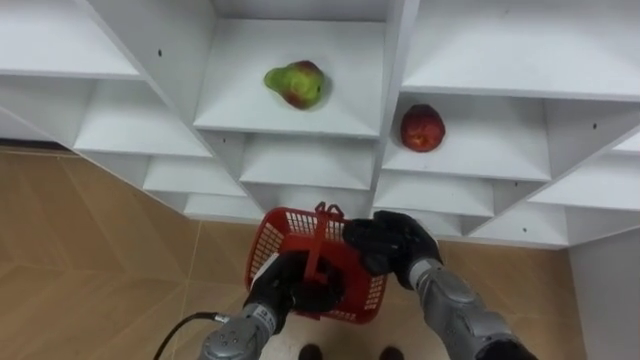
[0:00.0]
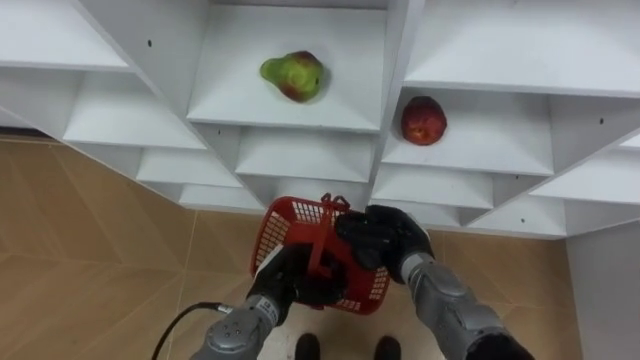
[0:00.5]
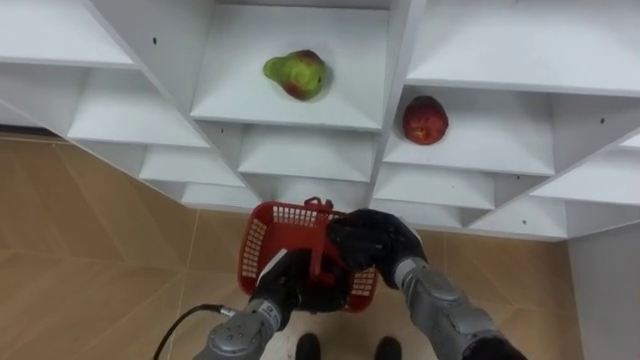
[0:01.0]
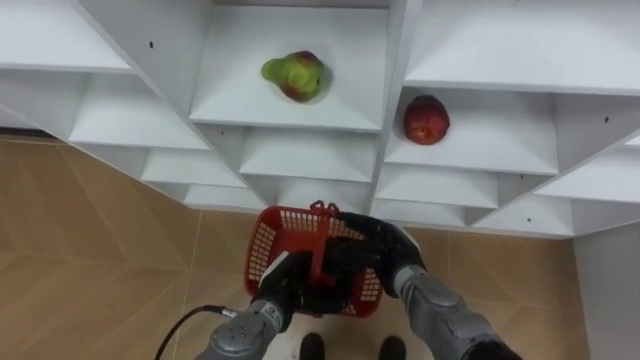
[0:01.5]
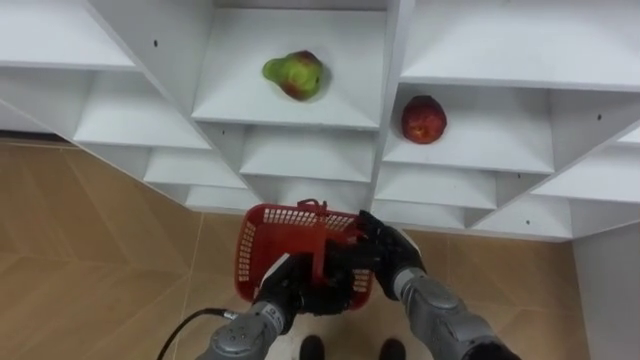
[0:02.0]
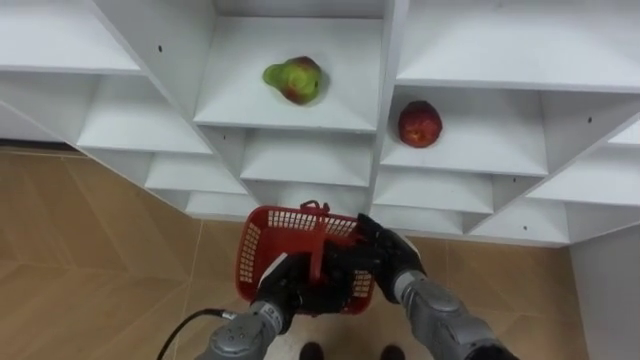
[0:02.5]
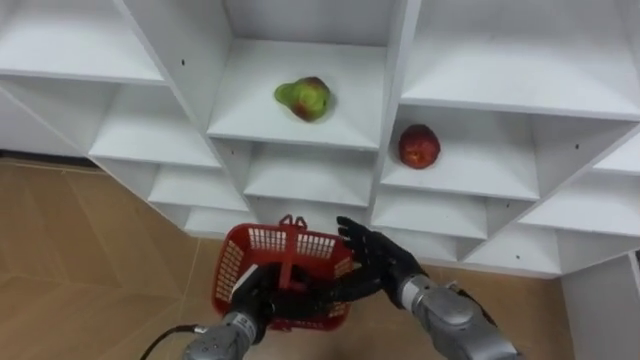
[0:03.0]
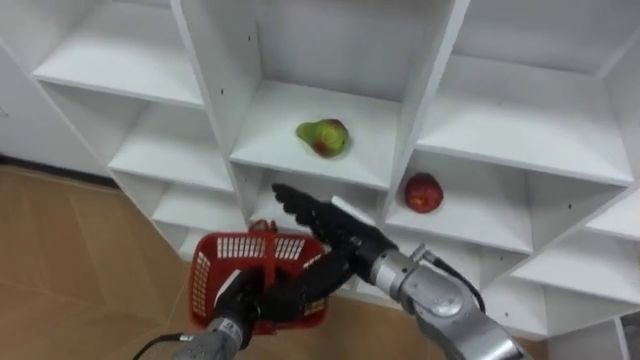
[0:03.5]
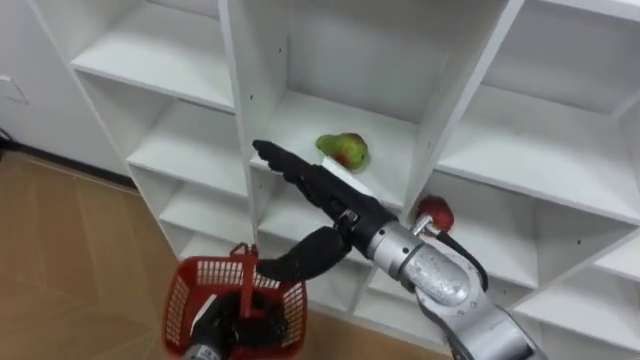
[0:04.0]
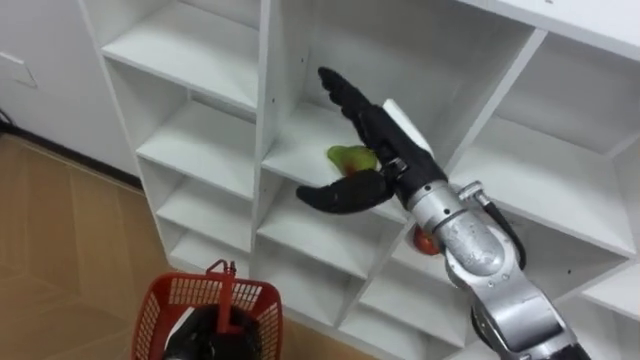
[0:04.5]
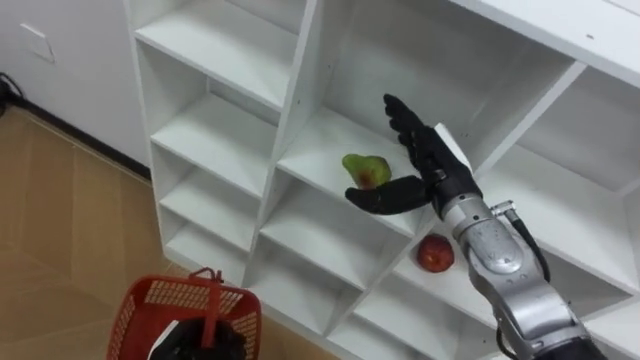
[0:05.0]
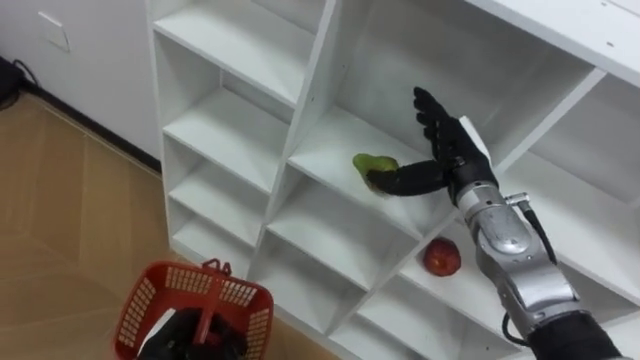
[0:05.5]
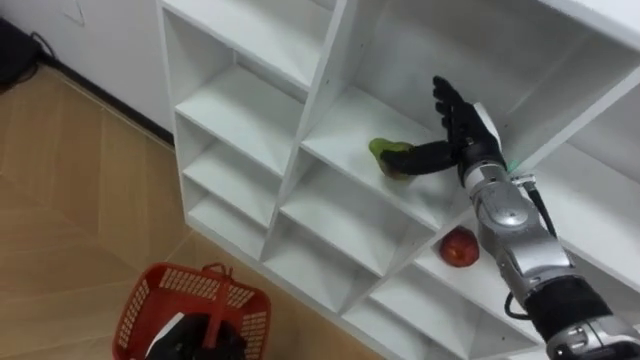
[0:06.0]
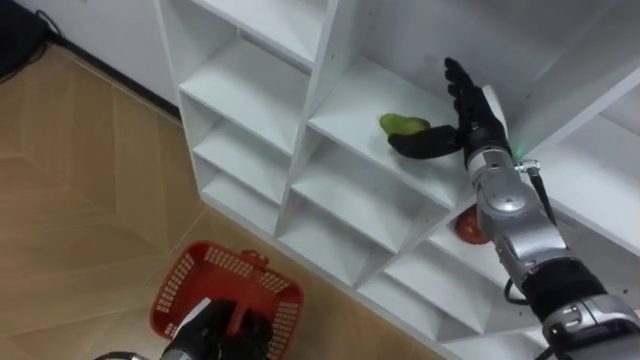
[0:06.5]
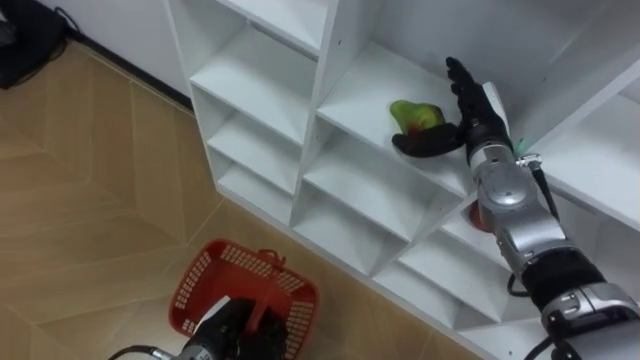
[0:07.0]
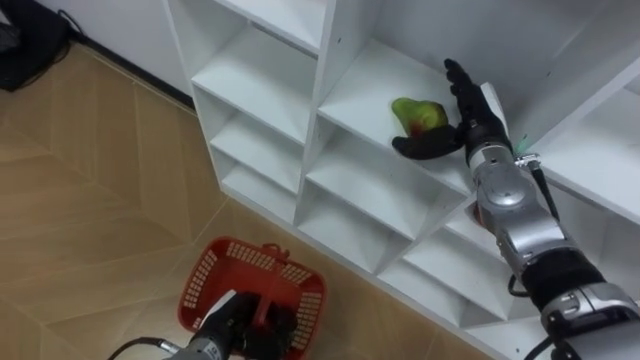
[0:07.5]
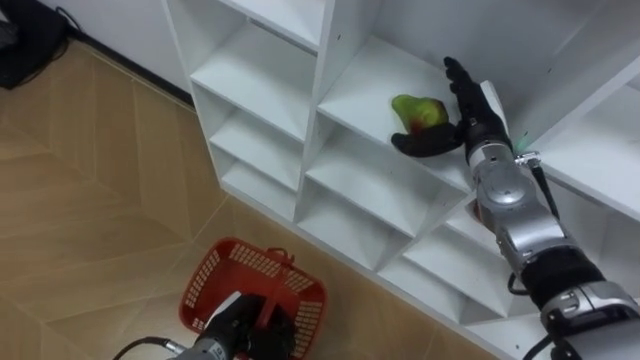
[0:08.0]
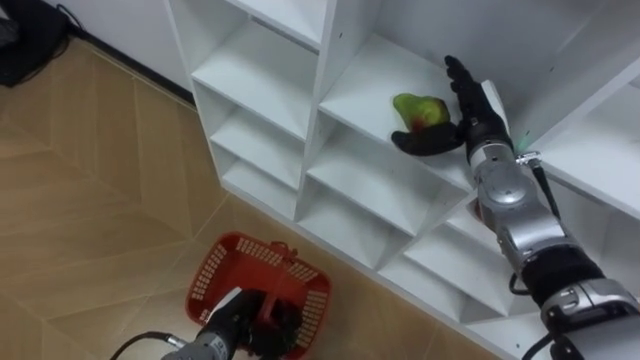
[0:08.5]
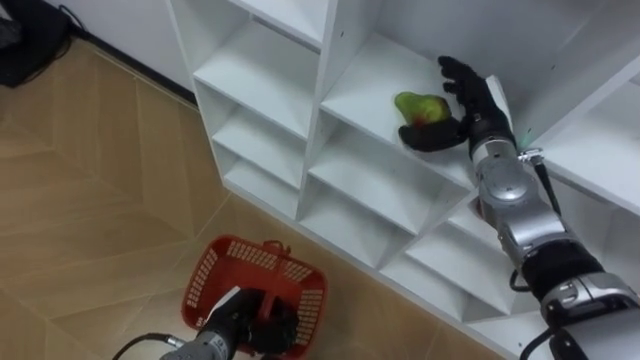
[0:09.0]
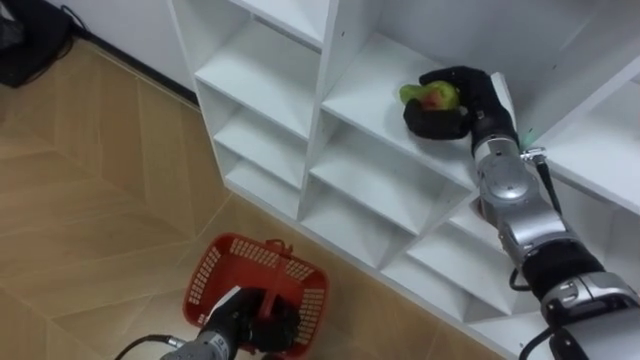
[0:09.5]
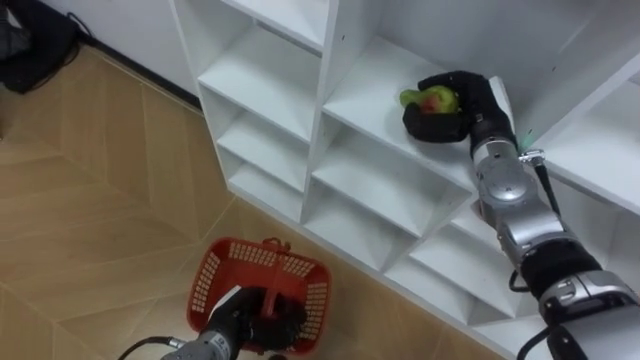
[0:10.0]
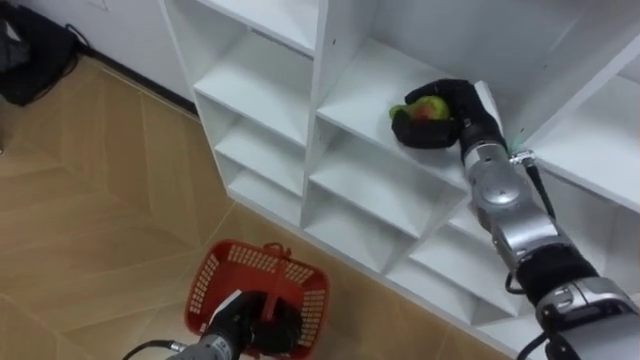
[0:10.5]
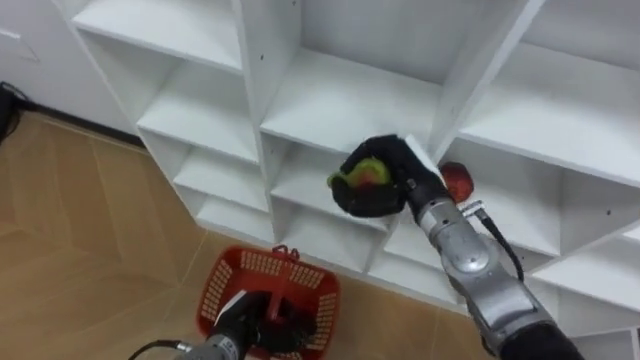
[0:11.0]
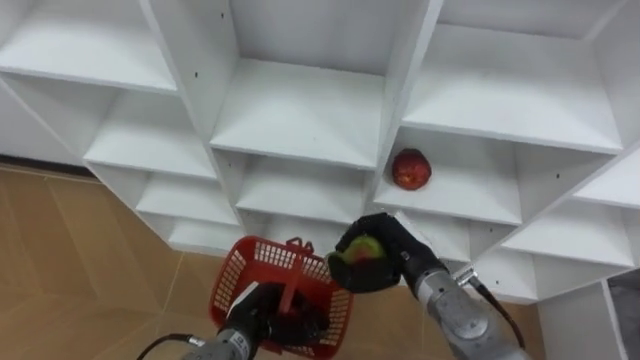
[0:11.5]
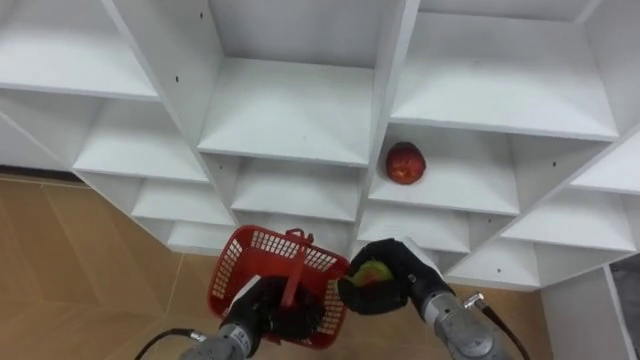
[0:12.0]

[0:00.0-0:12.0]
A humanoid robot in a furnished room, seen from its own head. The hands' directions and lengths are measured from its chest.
Task of the whole recording: Hold the basket and collect the fruits from 3 different cells of the closet into it.
0:00.0 to 0:02.0: The right hand opens up.
0:02.0 to 0:04.0: The right hand heads upward, covering about 15 cm; the left hand travels to the left by roughly 10 cm.
0:04.0 to 0:06.0: The left hand moves to the left, approximately 5 cm, while the right hand goes roughly 20 cm to the right and forward.
0:06.0 to 0:08.0: The left hand is displaced to the right by some 5 cm.
0:08.0 to 0:10.0: The right hand closes its fingers.
0:10.0 to 0:12.0: The right hand shifts about 20 cm backward, downward and to the left.

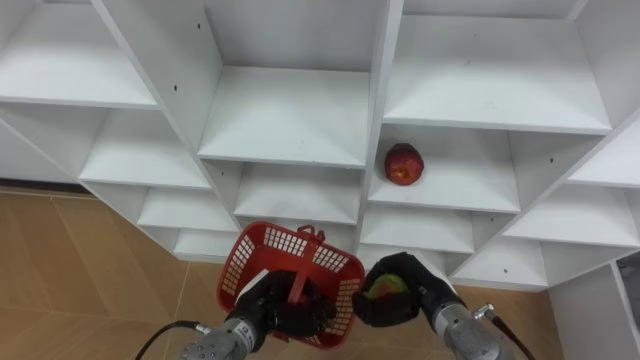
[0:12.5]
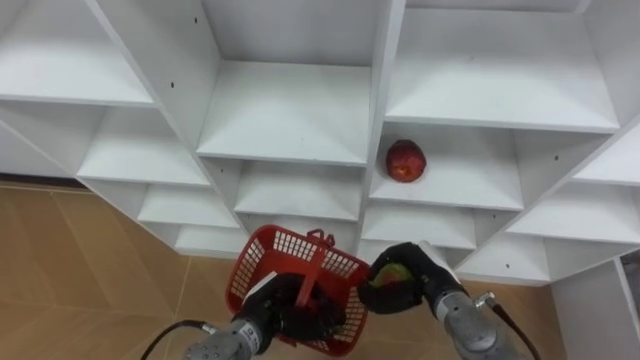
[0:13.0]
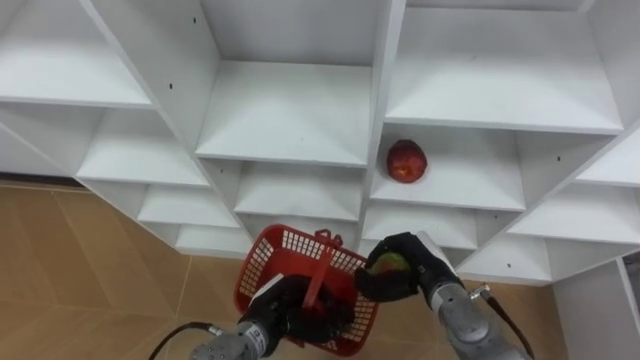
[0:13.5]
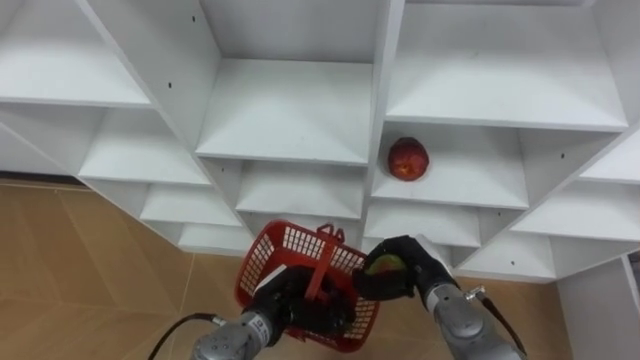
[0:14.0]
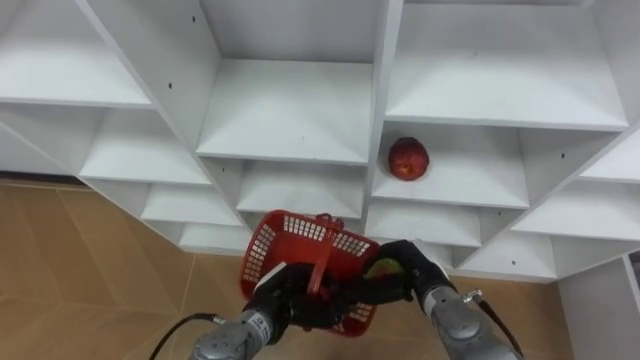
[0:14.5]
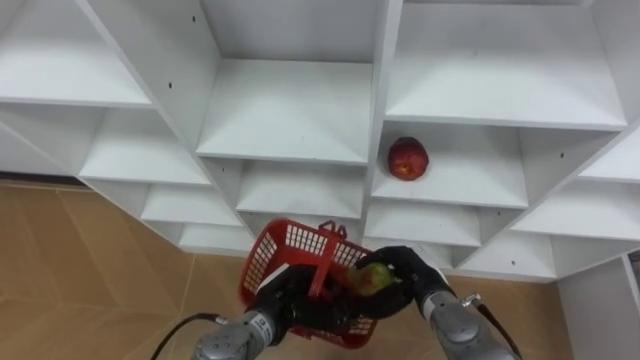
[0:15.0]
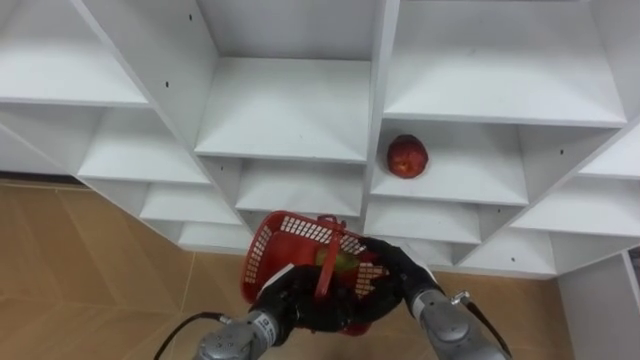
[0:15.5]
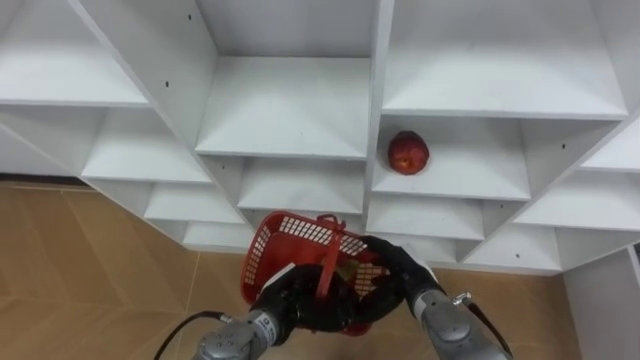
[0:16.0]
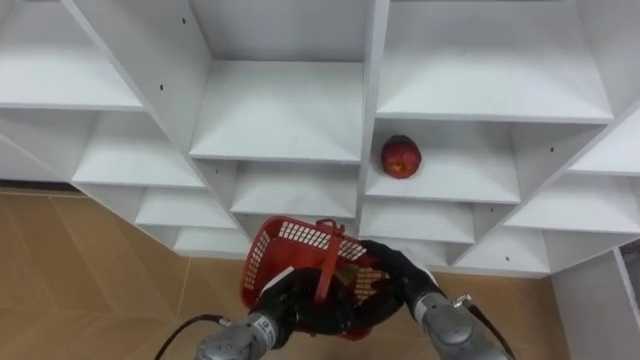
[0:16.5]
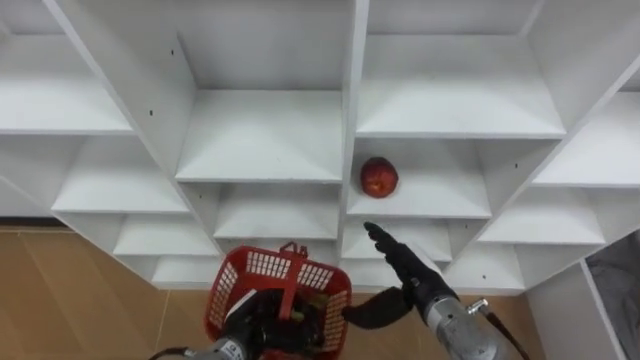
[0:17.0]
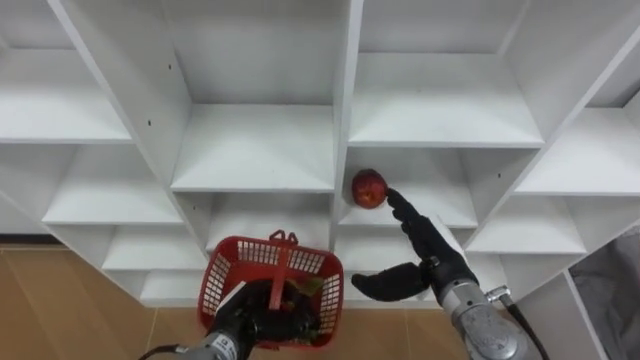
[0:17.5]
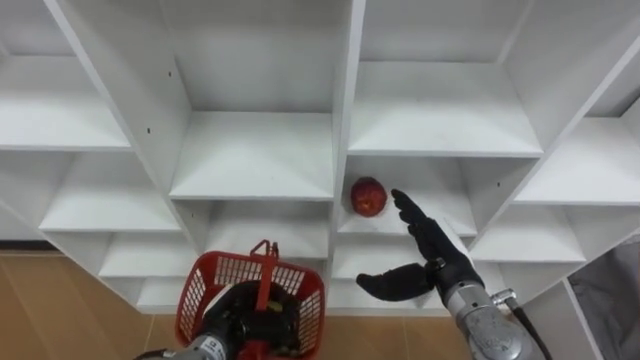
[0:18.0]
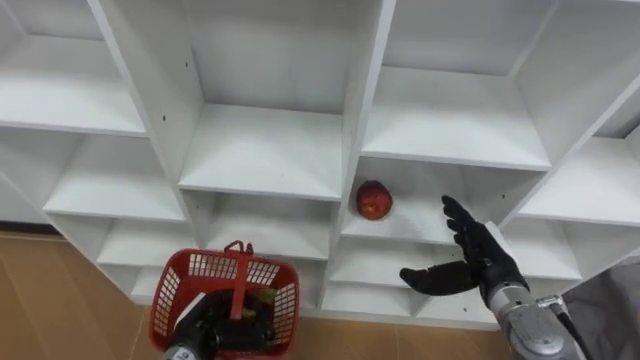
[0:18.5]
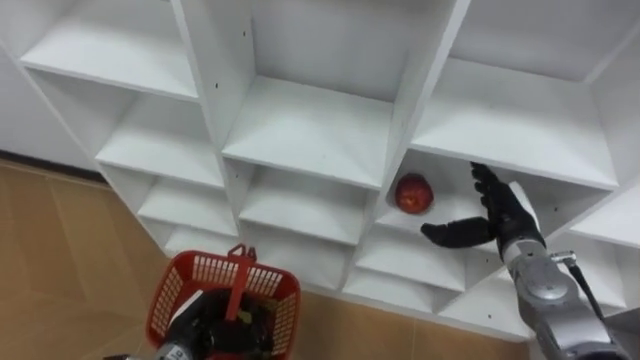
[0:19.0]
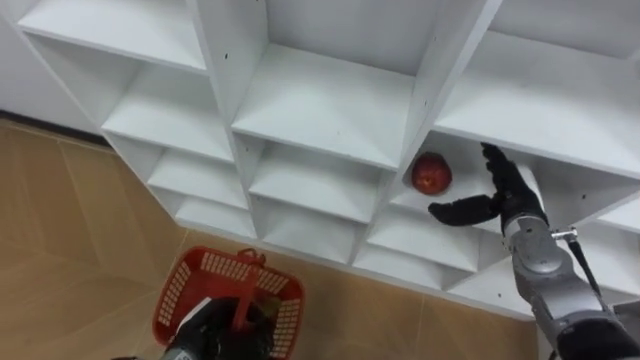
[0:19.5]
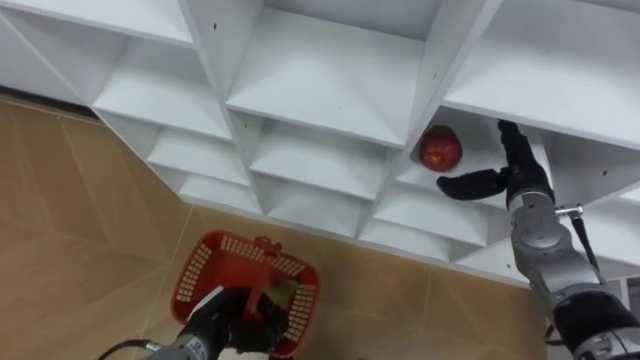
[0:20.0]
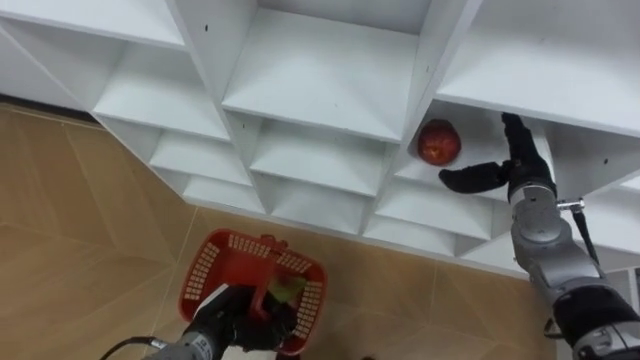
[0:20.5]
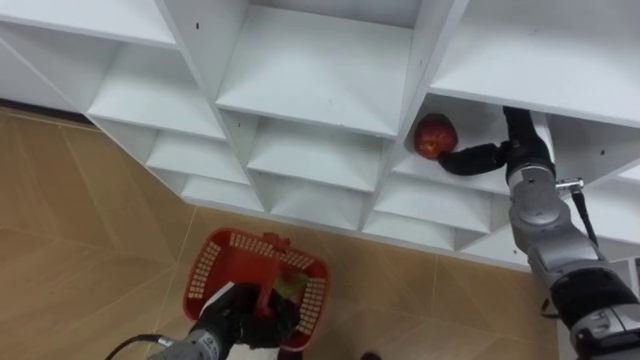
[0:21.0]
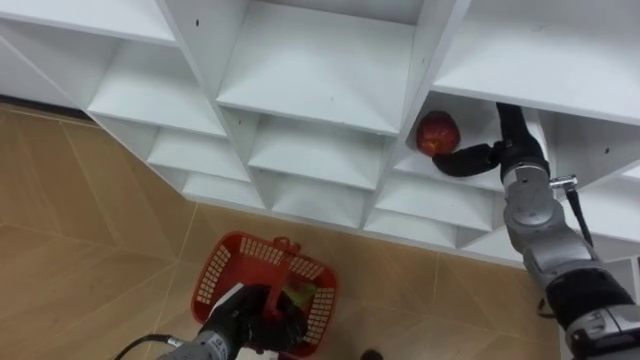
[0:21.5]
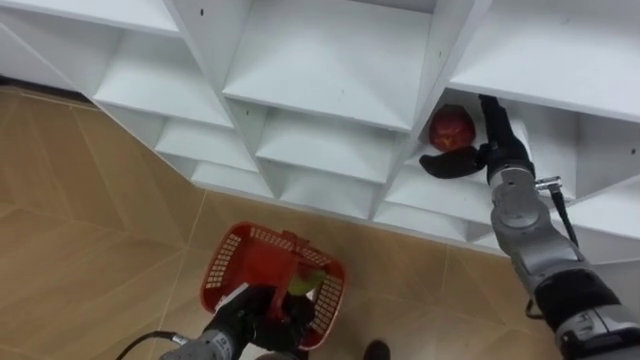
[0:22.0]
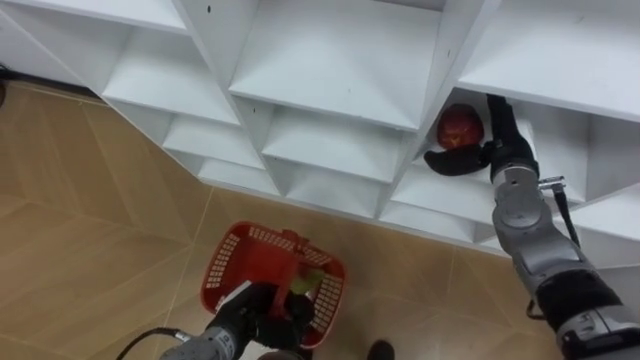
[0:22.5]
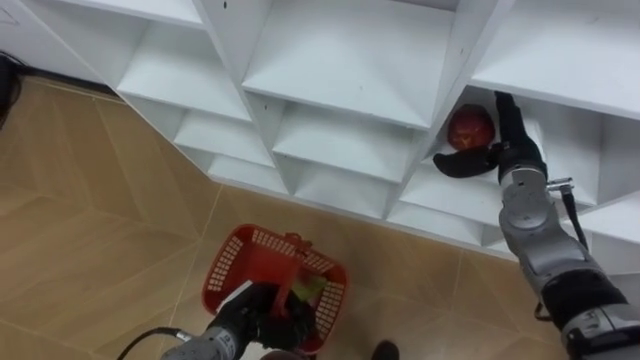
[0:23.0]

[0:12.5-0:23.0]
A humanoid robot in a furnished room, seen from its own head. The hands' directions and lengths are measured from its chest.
Task of the whole recording: Hold the basket and collect the fruits from 3 different cells of the closet into it.
0:12.5 to 0:14.5: The hands move only a little.
0:14.5 to 0:16.5: The right hand opens up.
0:16.5 to 0:19.0: The left hand is displaced to the left by approximately 15 cm, while the right hand travels to the right, upward and forward by roughly 15 cm.
0:19.0 to 0:21.0: The right hand goes roughly 10 cm forward and upward.
